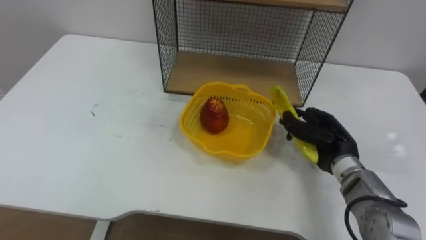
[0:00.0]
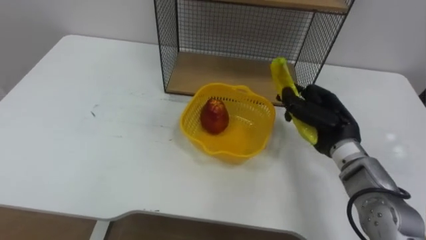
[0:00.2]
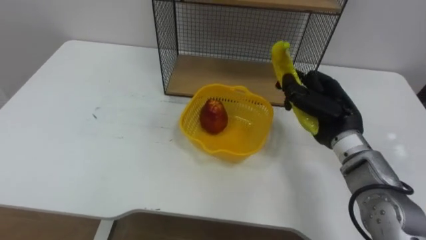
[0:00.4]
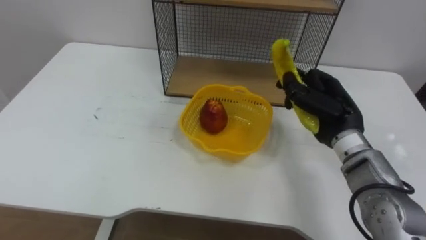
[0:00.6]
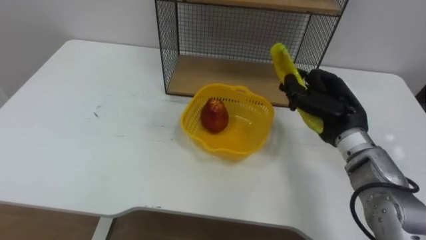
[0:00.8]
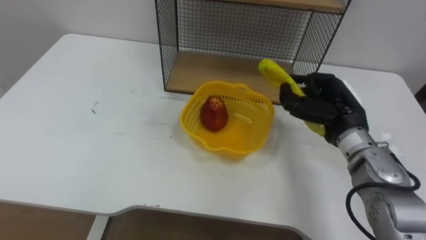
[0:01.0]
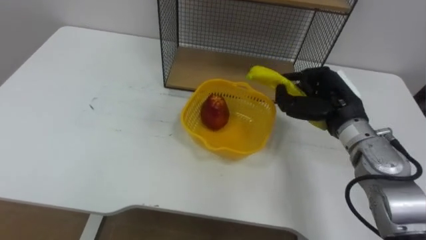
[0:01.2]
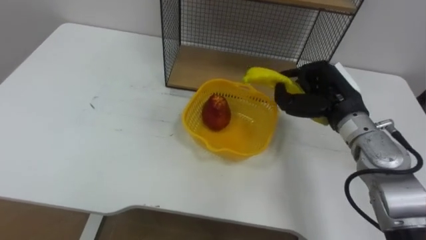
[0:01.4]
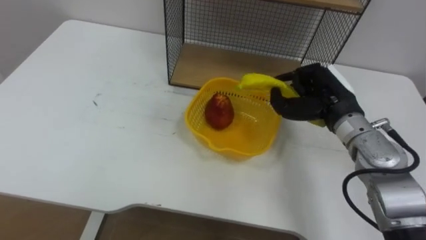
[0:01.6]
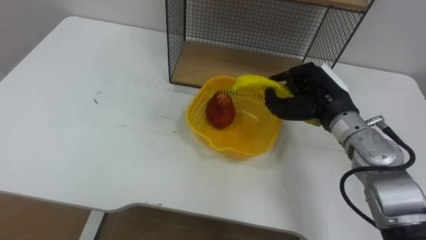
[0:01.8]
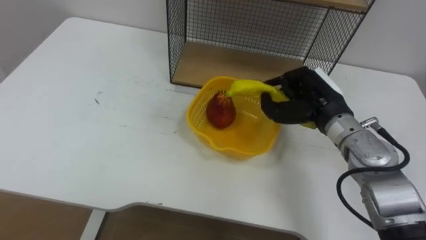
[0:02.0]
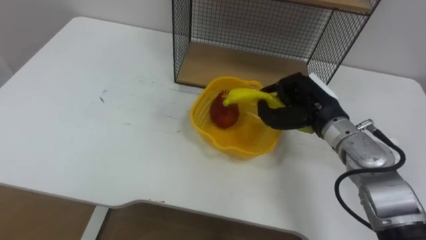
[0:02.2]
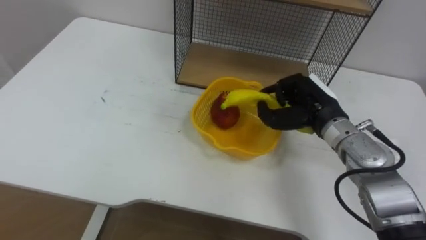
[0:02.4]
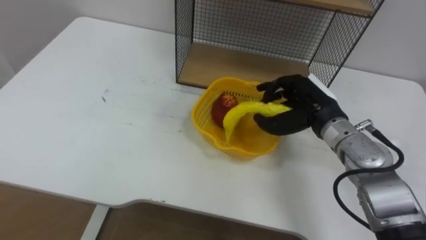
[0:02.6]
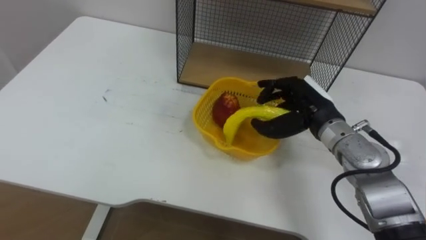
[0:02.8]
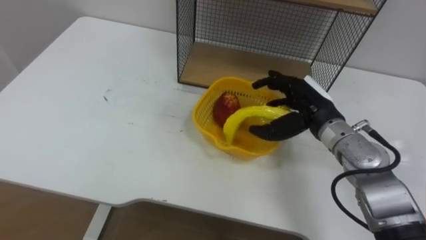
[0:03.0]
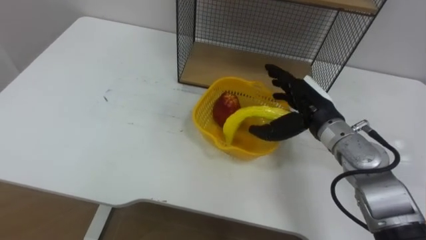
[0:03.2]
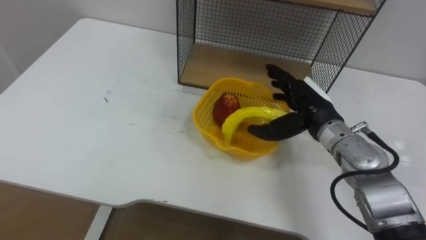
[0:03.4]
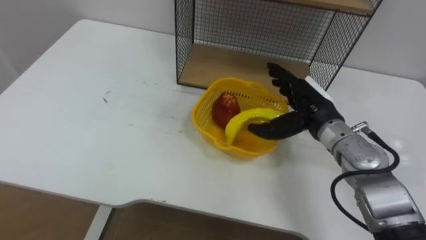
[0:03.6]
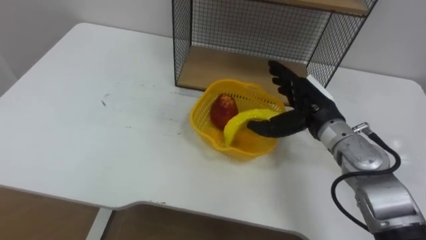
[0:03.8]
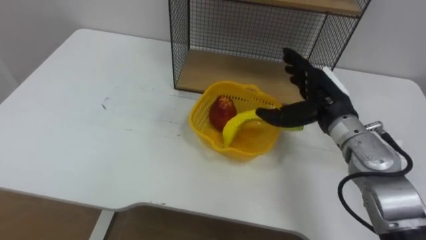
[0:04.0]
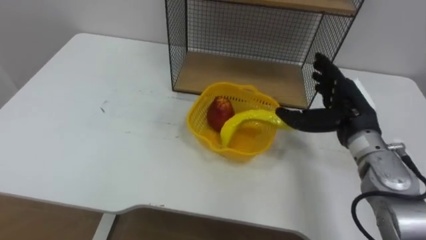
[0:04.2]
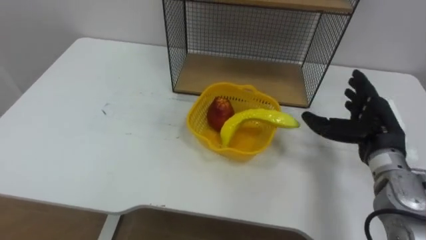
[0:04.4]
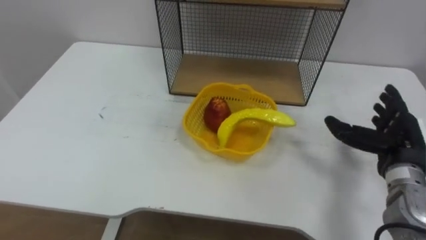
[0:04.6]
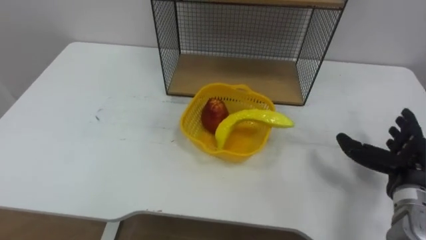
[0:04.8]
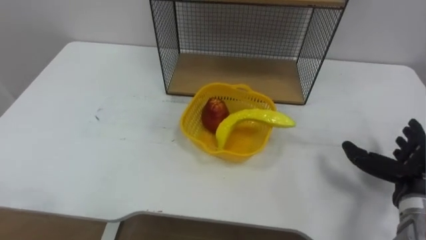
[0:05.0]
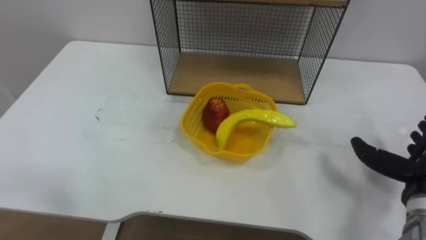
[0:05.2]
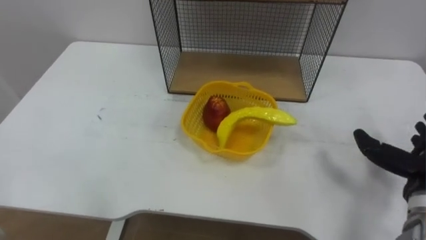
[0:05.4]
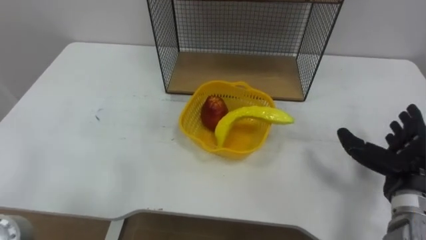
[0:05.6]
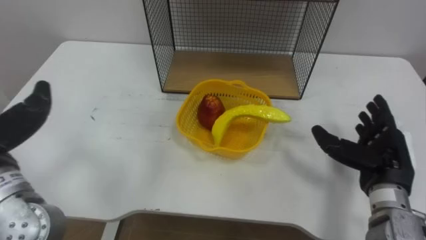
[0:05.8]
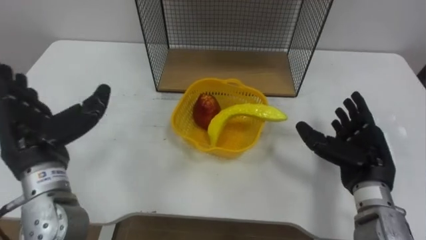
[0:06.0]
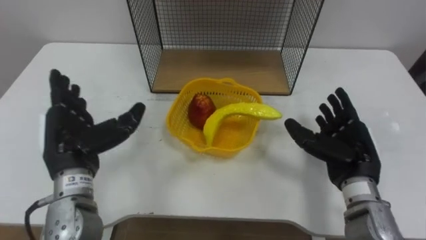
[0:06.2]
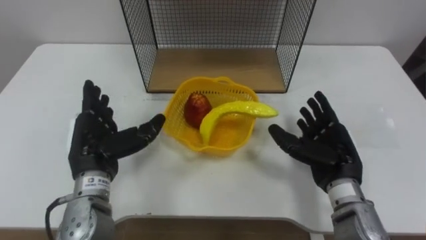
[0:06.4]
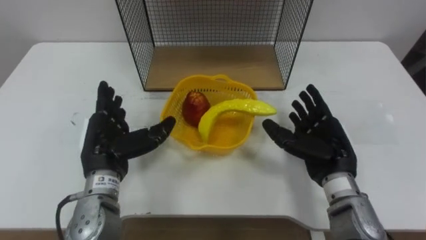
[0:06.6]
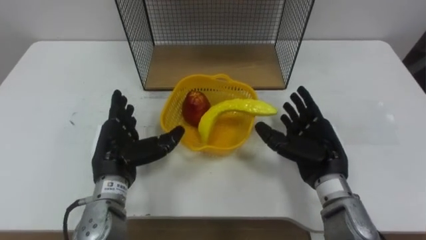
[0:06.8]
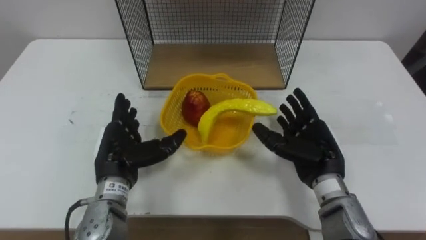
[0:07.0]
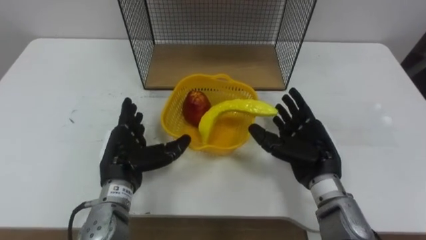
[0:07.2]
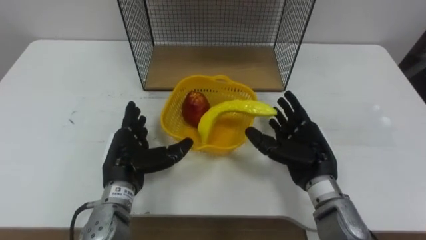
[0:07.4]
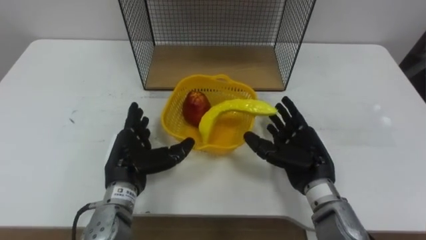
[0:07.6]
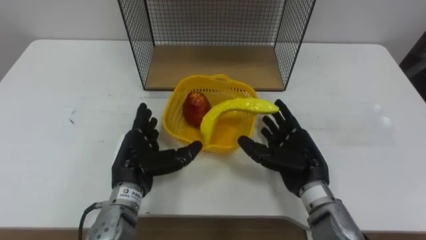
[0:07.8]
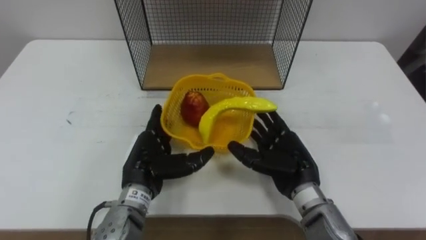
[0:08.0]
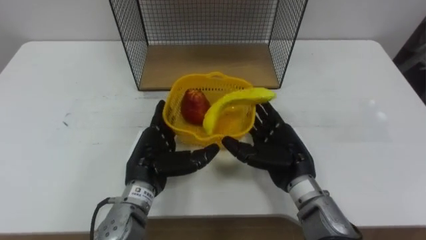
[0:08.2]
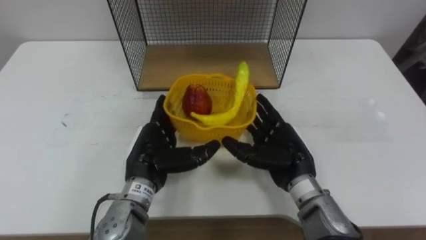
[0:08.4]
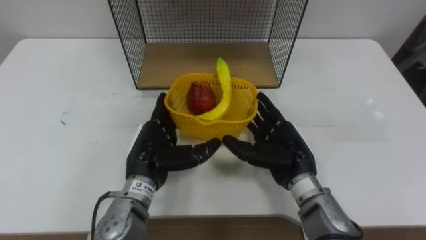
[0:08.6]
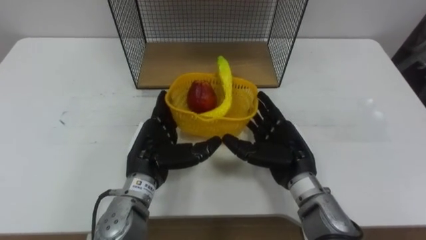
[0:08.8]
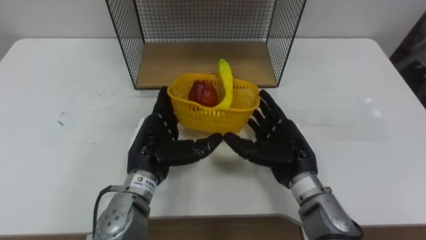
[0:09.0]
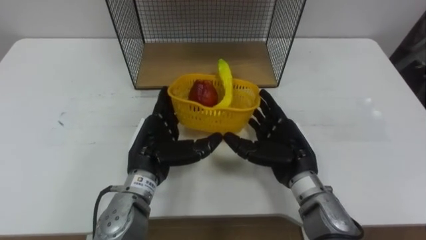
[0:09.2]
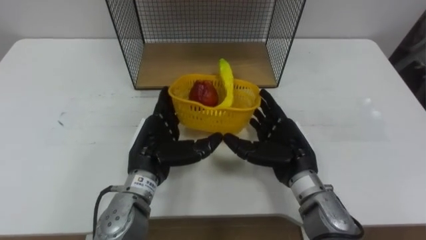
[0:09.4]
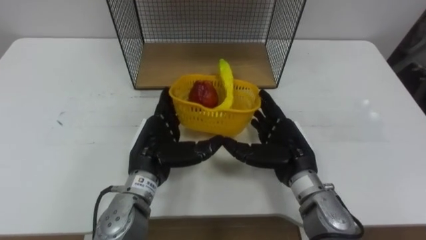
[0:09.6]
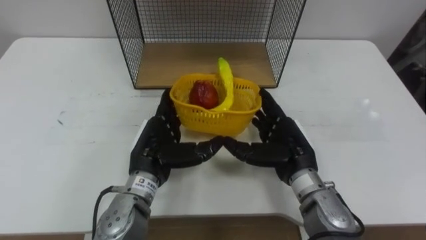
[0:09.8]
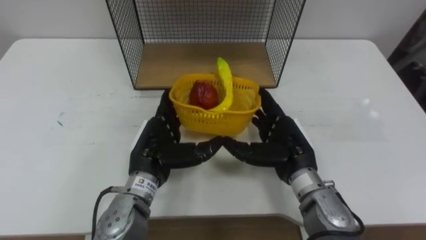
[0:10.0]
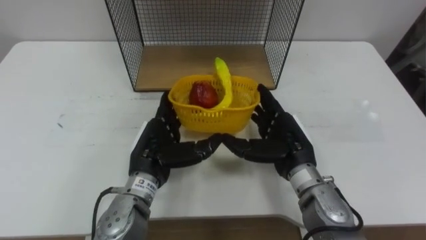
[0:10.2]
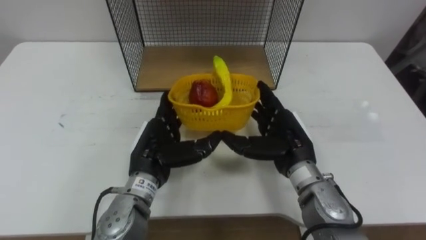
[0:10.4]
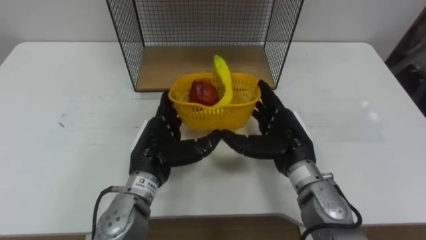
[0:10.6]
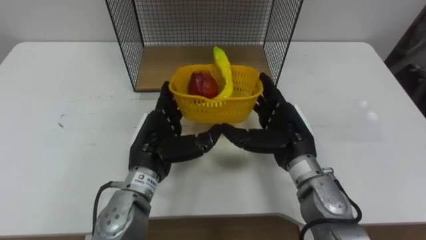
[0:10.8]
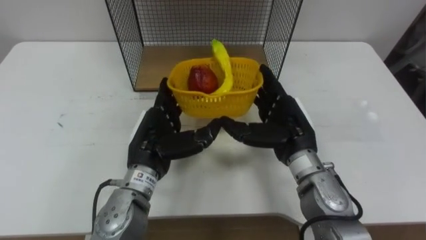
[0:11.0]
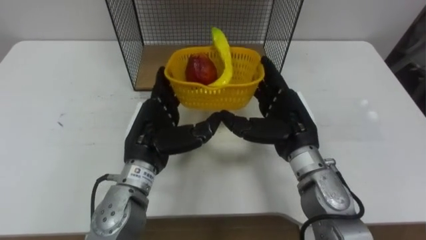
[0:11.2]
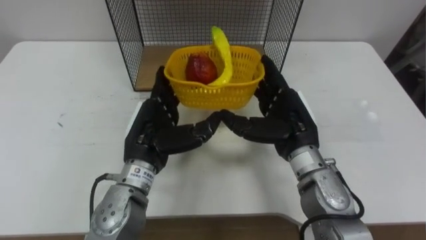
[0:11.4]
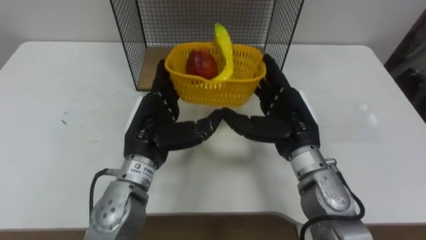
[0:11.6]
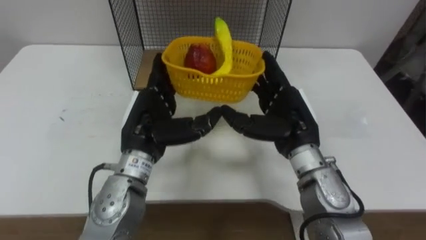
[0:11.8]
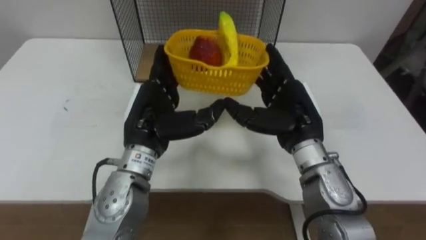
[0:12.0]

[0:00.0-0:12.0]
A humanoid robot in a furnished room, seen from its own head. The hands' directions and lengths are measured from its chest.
Task of the whole recording: Put the fruit on the table into the basket, then place the basket on the shelf.
0:00.0 to 0:01.6: The right hand is displaced upward by approximately 10 cm.
0:01.6 to 0:03.0: The right hand opens up.
0:03.0 to 0:04.4: The right hand travels to the right by some 10 cm.
0:06.0 to 0:07.6: The right hand travels to the left by approximately 10 cm; the left hand is displaced to the right and downward by roughly 15 cm.
0:07.6 to 0:09.0: The left hand shifts roughly 5 cm to the right.
0:09.0 to 0:10.4: The hands stay close to where they were, moving slightly.
0:10.4 to 0:12.0: The two hands go roughly 5 cm upward.

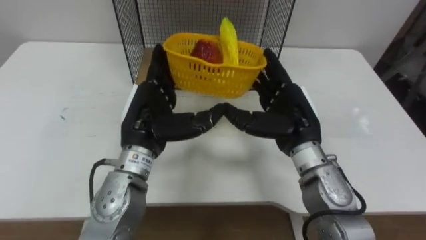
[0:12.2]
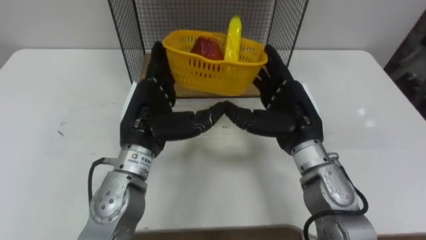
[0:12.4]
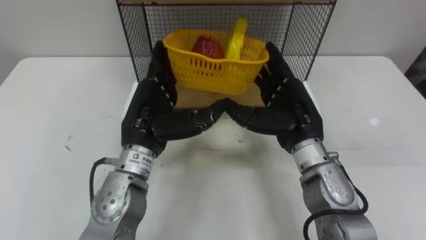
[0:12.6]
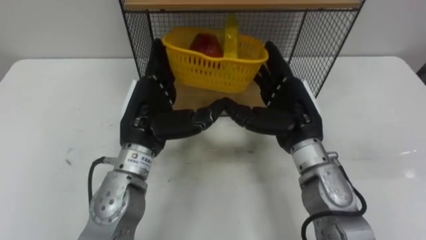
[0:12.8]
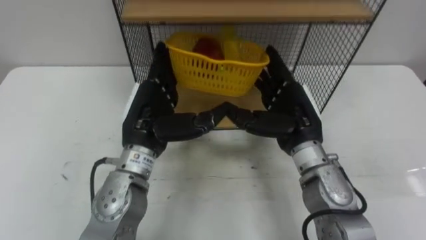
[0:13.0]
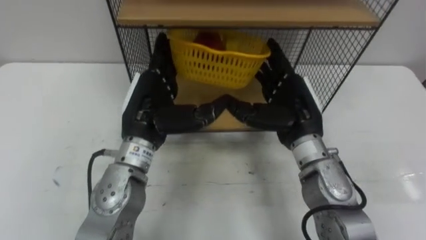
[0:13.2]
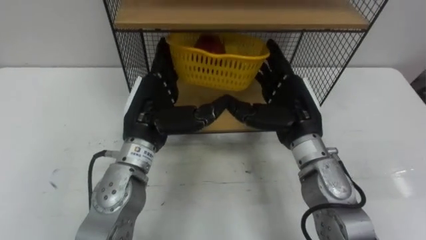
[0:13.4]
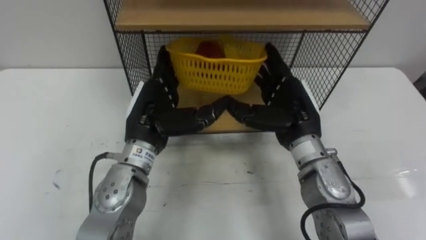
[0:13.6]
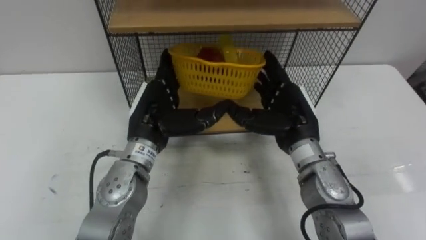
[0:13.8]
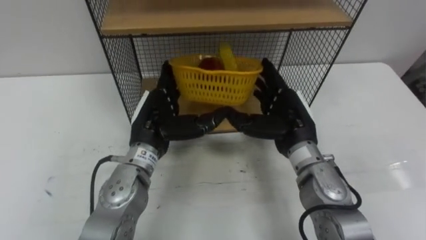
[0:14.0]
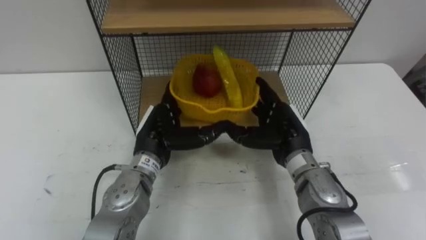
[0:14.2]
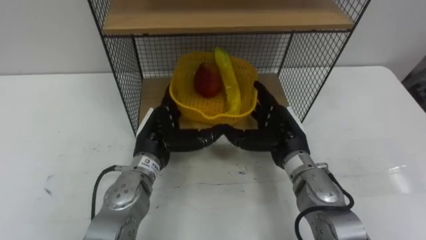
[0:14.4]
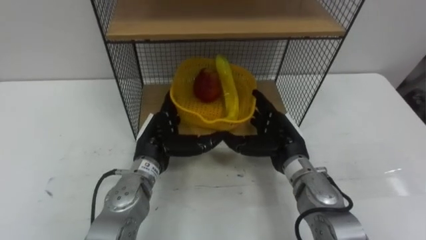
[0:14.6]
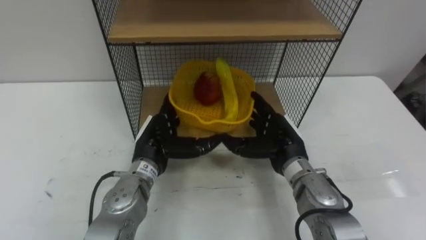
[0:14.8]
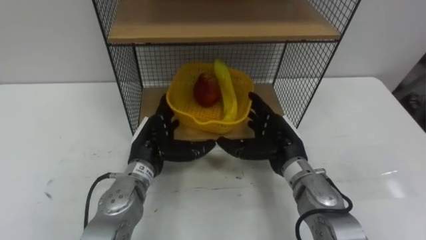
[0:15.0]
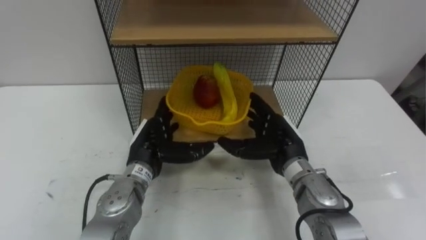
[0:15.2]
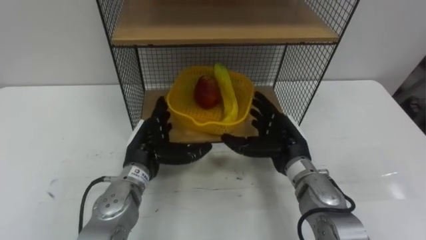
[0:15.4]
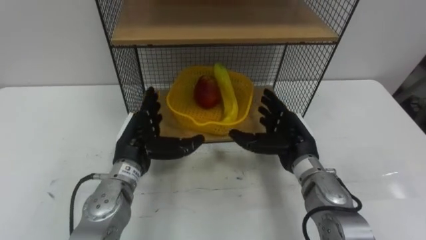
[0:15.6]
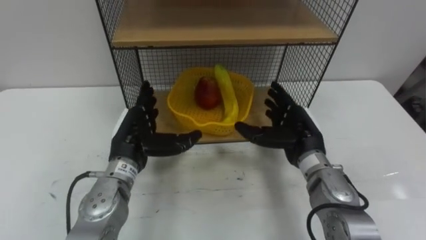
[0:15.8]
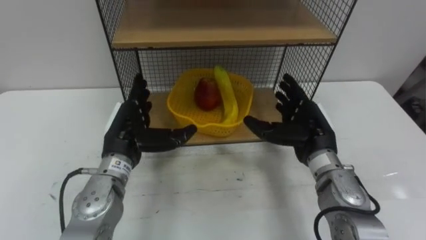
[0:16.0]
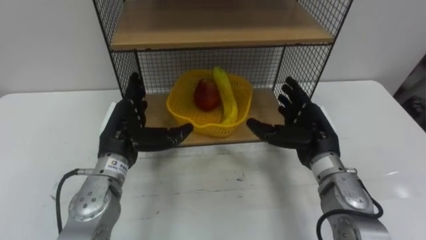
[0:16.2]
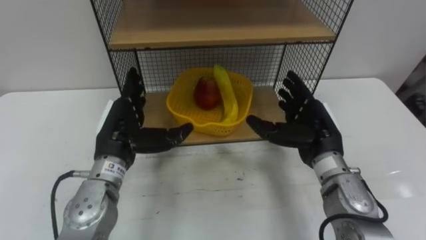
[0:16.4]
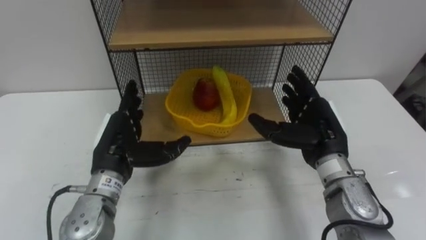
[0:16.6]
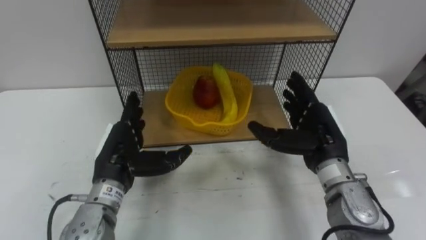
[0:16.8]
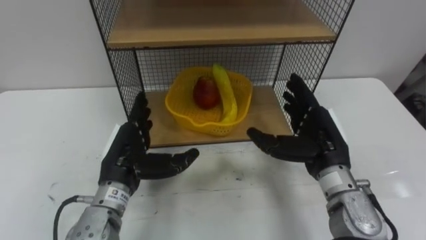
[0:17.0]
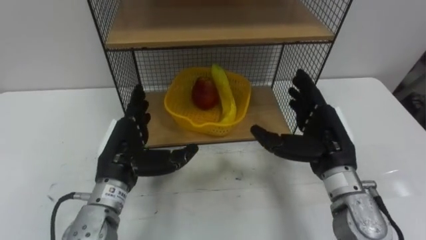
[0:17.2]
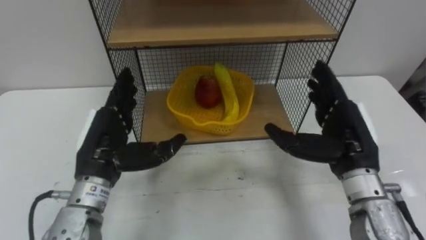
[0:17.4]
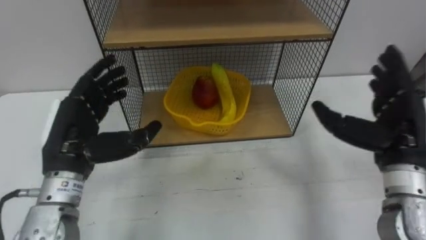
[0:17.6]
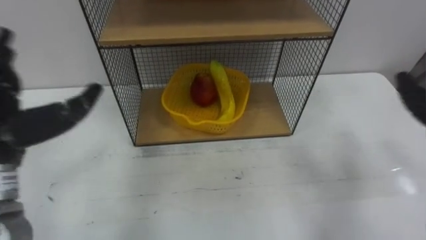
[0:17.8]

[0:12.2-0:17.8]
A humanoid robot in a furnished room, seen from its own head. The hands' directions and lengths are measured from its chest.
Task of the whole recording: Put the fruit on the table into the basket, then place the basket on the shelf.
0:13.6 to 0:15.0: Both hands move downward, about 10 cm.
0:15.0 to 0:16.4: The right hand is displaced to the right by some 5 cm; the left hand moves upward, roughly 5 cm.
0:16.4 to 0:17.8: The left hand moves upward, to the left and backward, about 15 cm.
